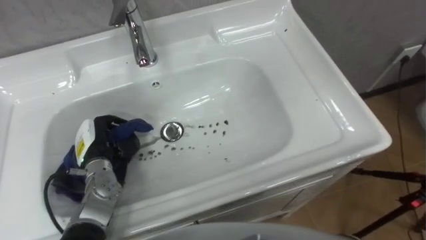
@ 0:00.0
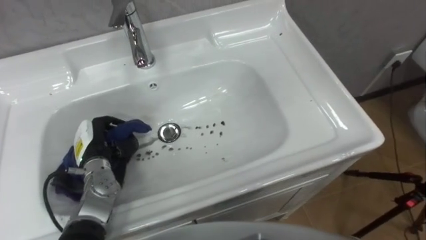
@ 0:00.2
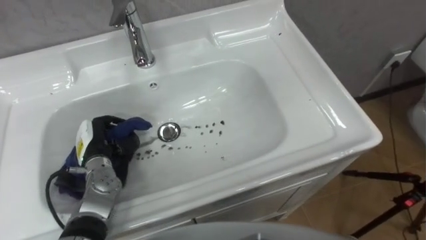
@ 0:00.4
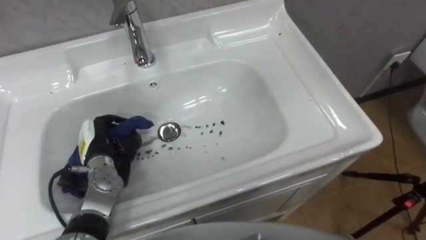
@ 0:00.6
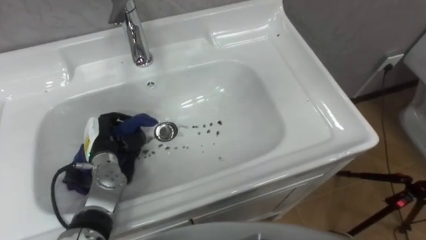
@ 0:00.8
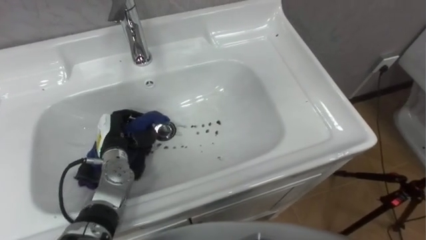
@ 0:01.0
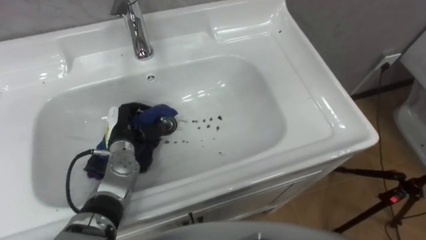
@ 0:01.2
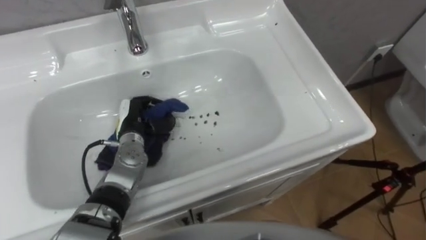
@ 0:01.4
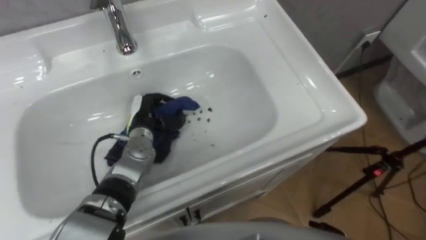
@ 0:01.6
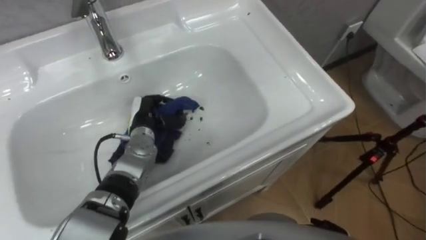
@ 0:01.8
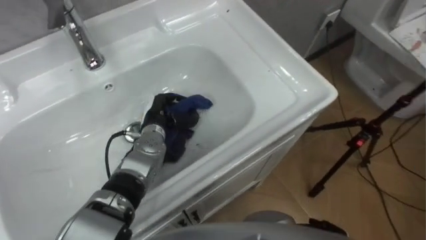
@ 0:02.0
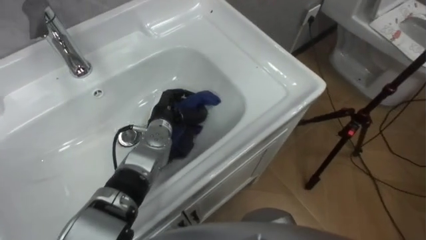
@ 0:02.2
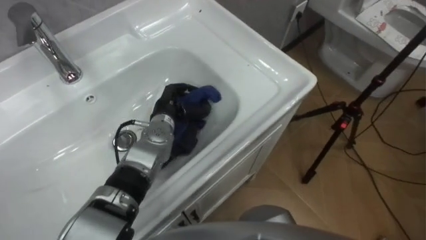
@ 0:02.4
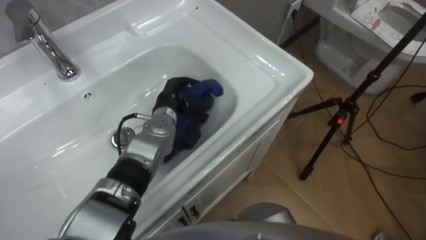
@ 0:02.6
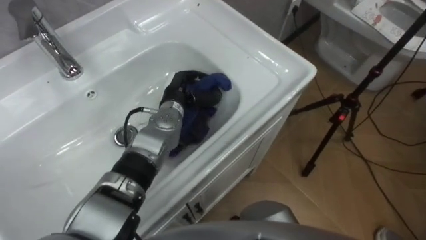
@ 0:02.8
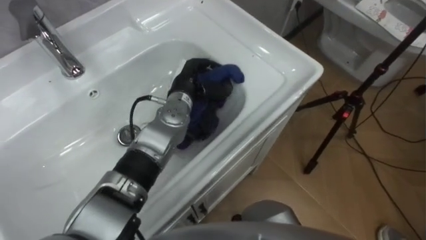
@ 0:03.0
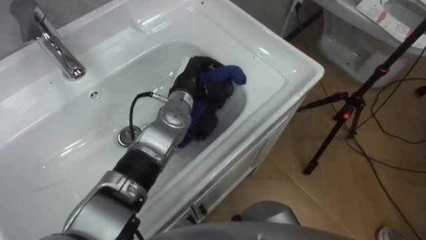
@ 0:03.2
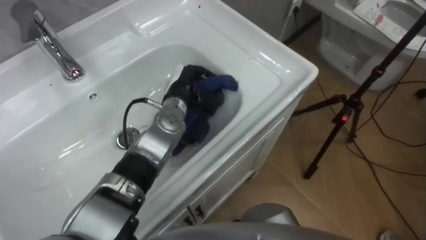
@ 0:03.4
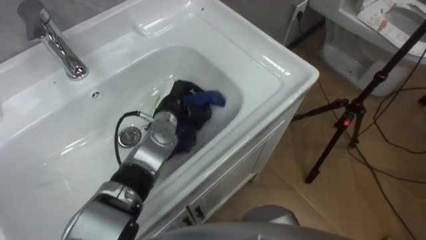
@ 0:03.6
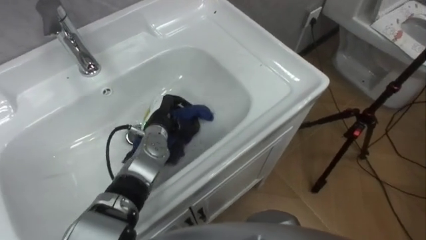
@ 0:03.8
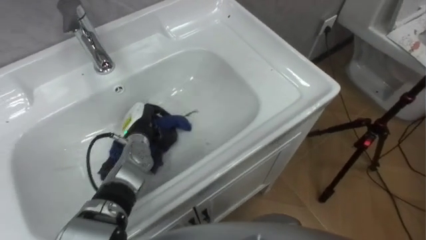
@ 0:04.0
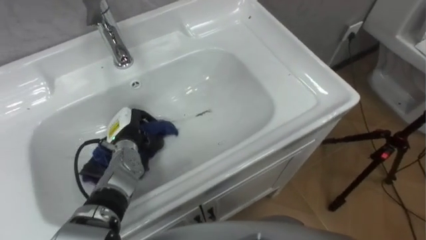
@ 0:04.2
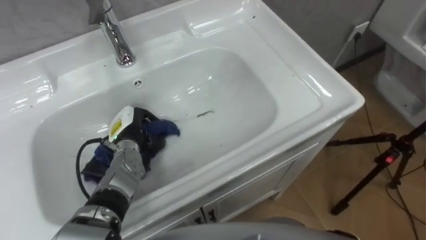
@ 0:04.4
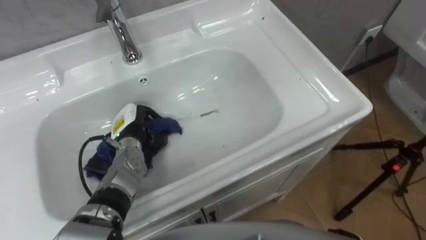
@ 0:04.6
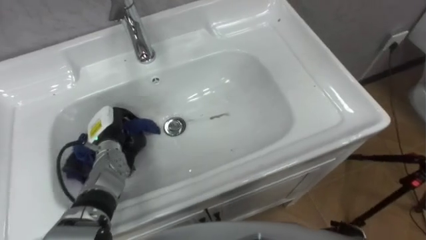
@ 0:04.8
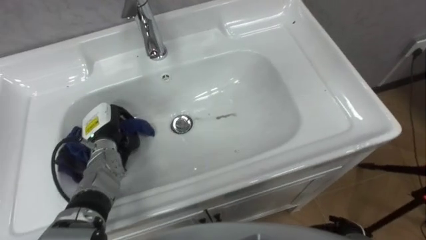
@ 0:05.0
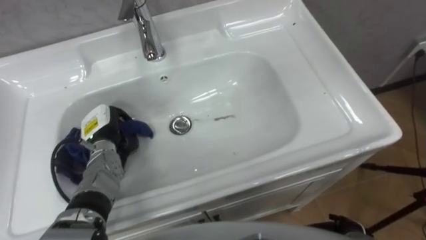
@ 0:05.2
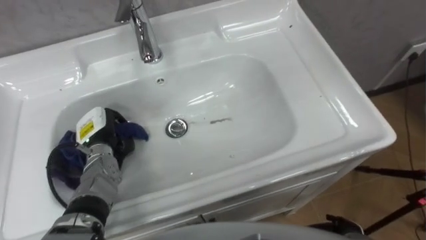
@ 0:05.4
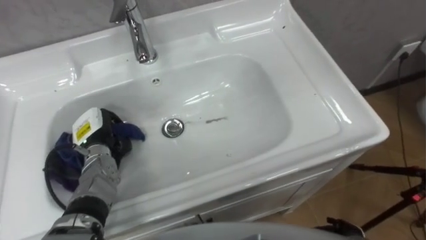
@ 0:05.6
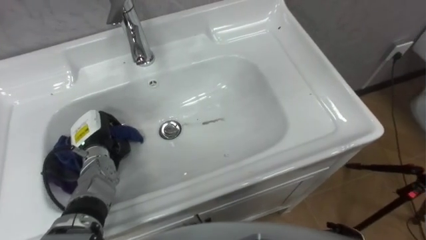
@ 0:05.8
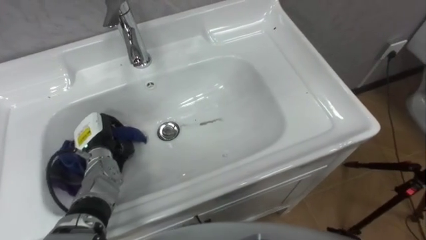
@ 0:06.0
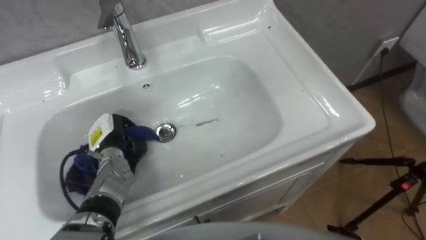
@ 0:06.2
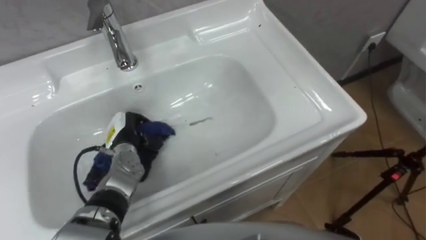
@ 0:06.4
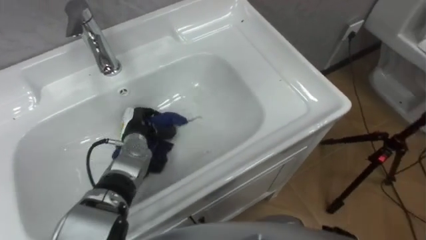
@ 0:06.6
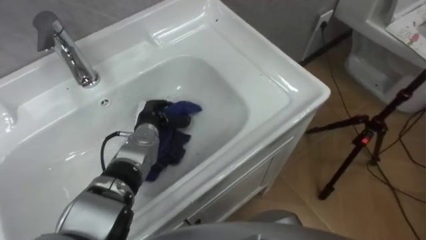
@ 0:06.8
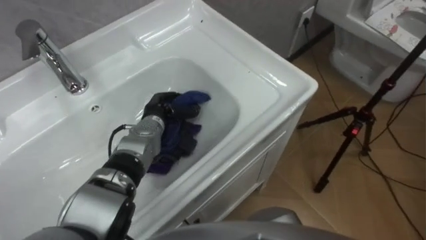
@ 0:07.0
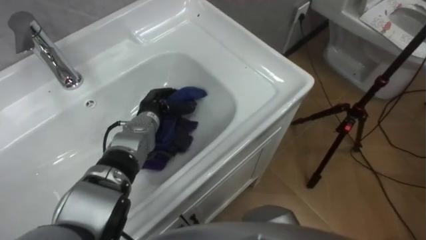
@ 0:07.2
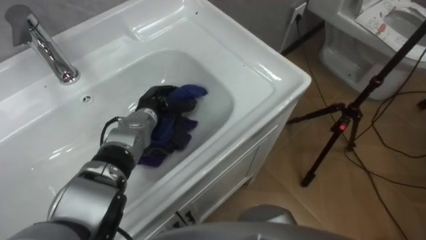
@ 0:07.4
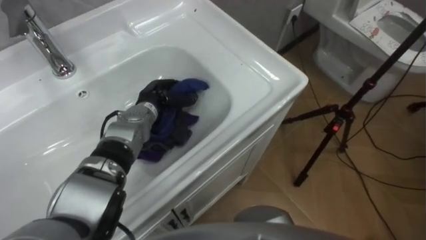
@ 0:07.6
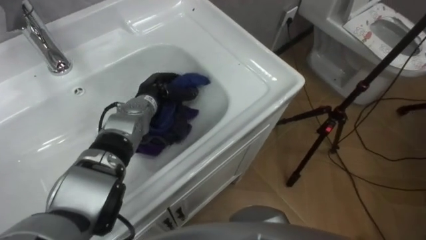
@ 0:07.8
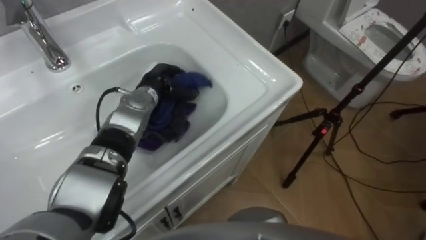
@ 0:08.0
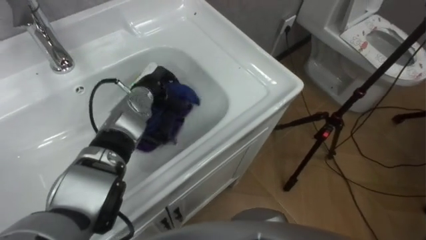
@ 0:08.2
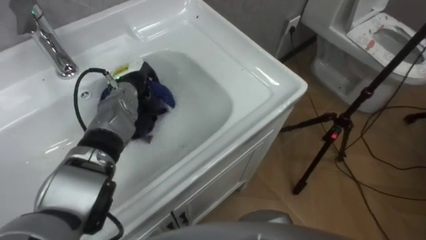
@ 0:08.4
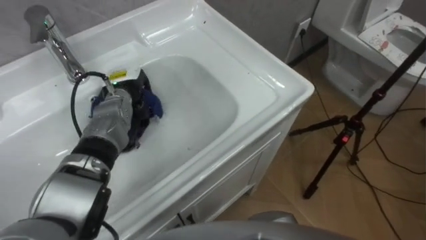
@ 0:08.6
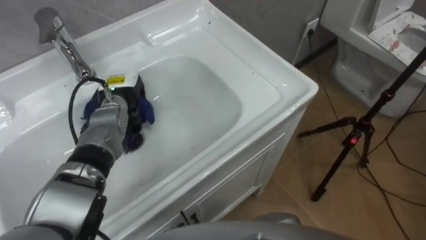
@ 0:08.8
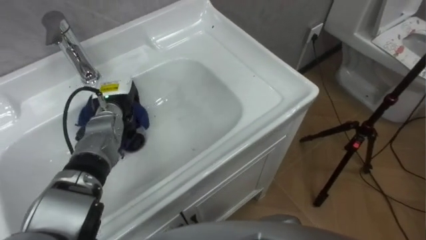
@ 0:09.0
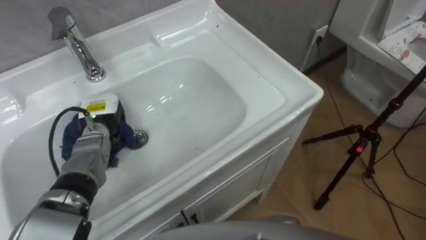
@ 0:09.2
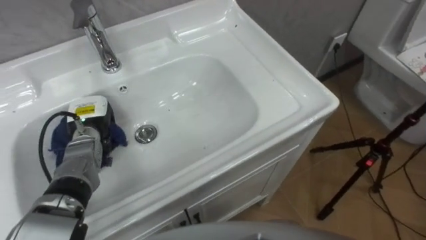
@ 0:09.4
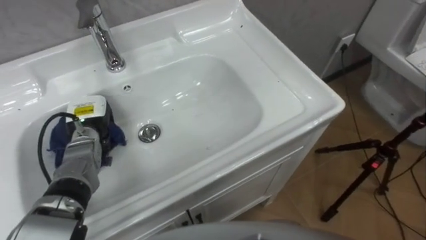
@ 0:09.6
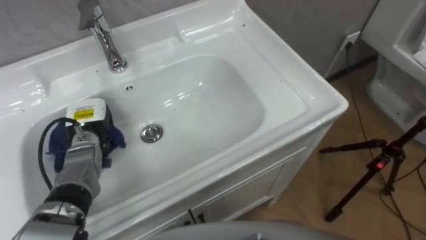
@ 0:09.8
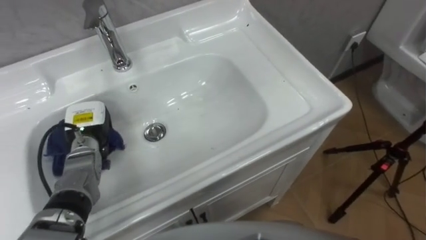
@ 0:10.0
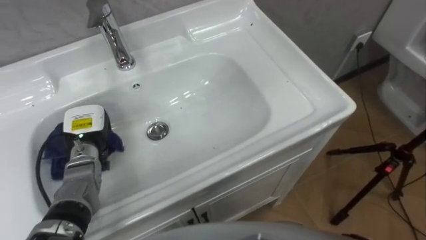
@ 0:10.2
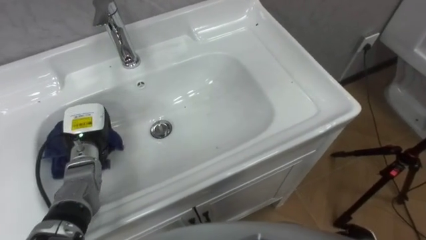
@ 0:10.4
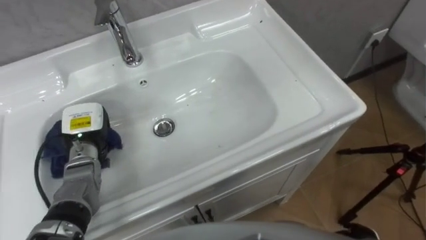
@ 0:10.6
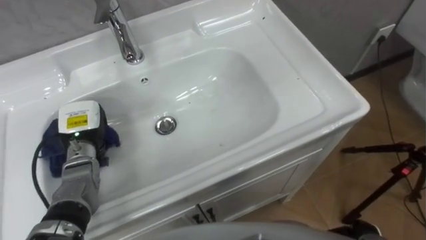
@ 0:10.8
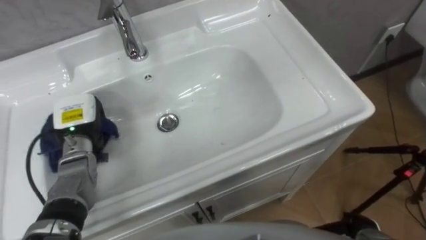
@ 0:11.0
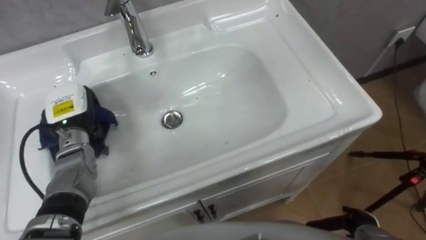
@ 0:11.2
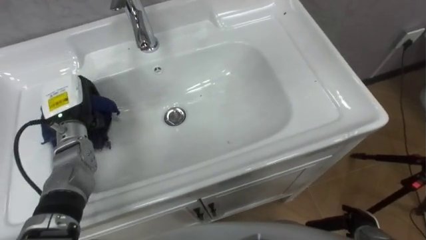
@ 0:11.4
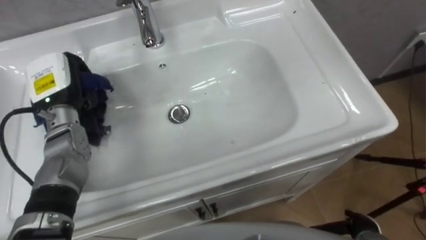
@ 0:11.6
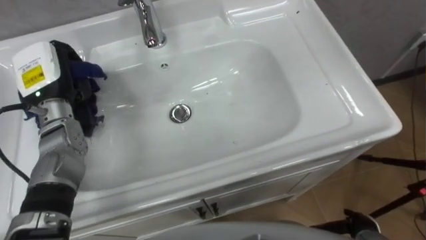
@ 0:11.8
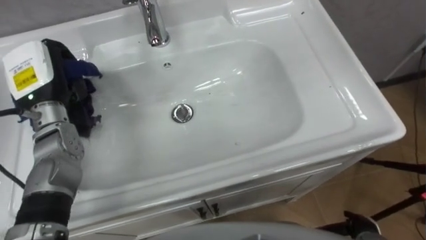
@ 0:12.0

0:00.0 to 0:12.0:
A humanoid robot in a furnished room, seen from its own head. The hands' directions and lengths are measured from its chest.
Task of the whole recording: Use the cloth on the right to wipe away the black stain in the sink.
0:00.0 to 0:01.6: The left hand travels to the right and forward by approximately 15 cm.
0:01.6 to 0:03.0: The left hand shifts some 15 cm to the right and upward.
0:03.0 to 0:04.4: The left hand is displaced to the left, downward and backward by roughly 20 cm.
0:04.4 to 0:06.0: The left hand heads to the left, covering some 5 cm.
0:06.0 to 0:07.6: The left hand heads to the right and forward, covering some 15 cm.
0:07.6 to 0:09.0: The left hand is displaced to the left by about 10 cm.
0:09.0 to 0:10.4: The left hand shifts roughly 10 cm backward and to the left.
0:10.4 to 0:12.0: The left hand heads upward, covering some 15 cm.
